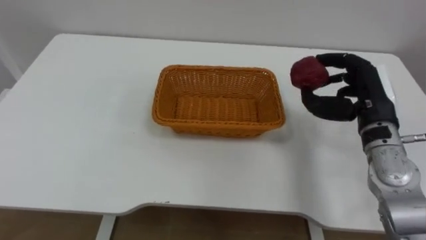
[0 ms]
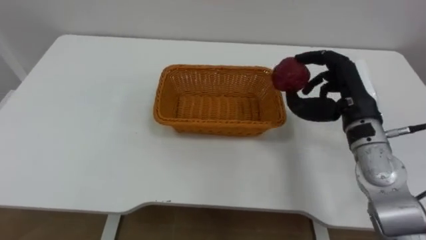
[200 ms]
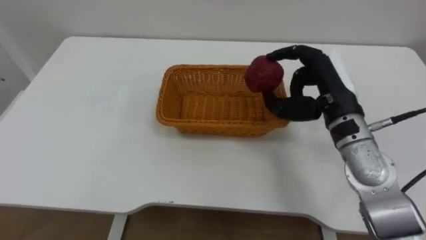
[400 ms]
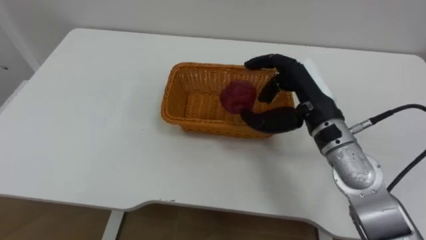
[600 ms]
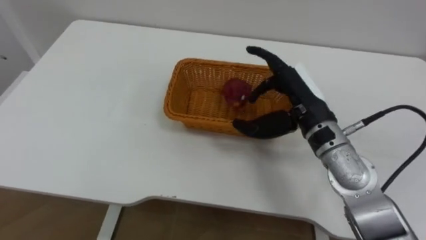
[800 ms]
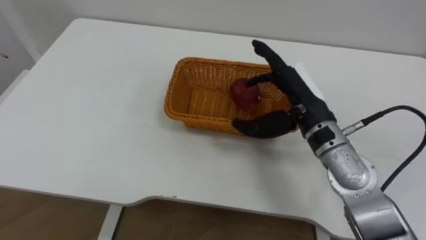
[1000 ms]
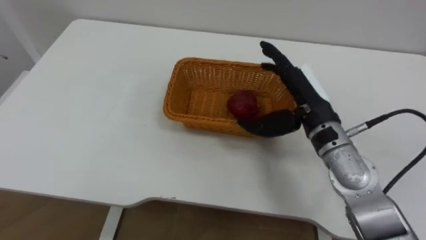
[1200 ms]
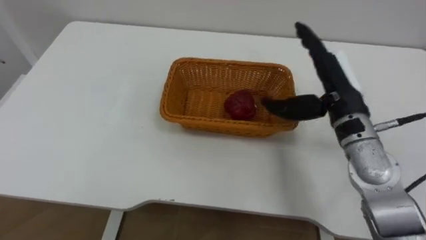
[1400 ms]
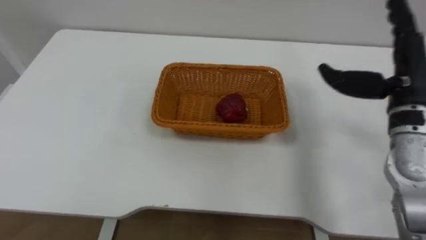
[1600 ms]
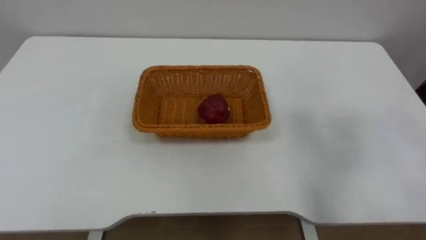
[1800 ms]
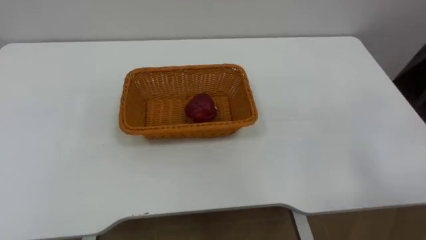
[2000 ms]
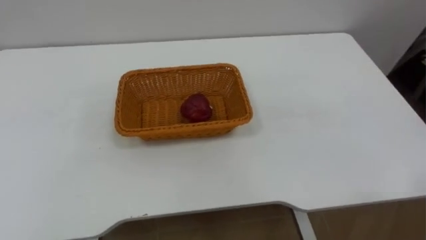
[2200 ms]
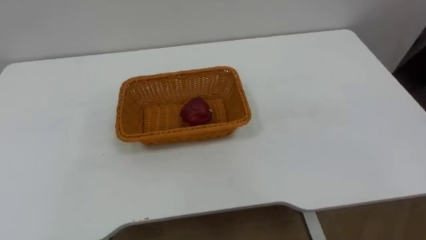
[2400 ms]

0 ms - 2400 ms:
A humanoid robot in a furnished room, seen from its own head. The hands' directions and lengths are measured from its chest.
Task of the whole recording: Pick the apple and place it in the box.
0 ms - 1200 ms: The right hand goes some 10 cm to the left, and opens.

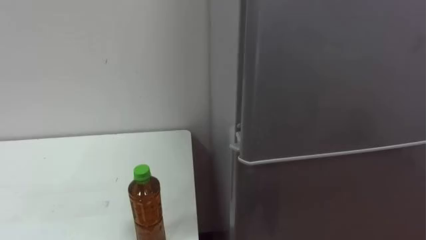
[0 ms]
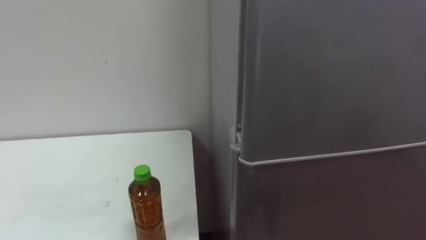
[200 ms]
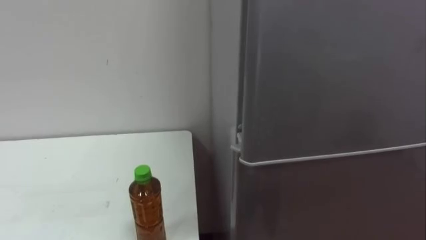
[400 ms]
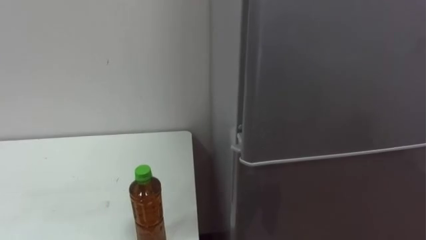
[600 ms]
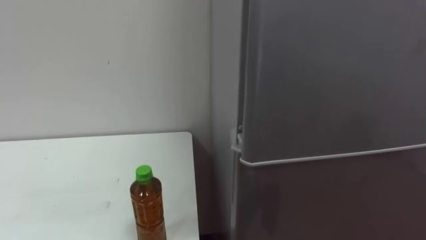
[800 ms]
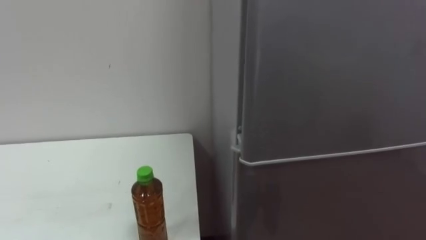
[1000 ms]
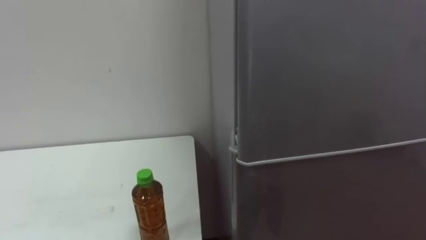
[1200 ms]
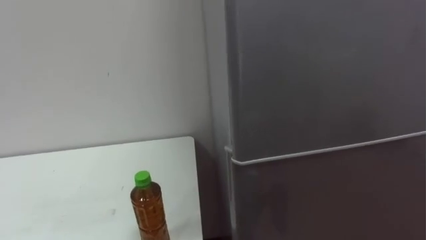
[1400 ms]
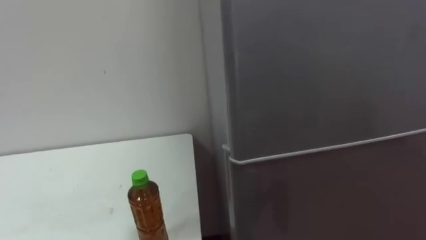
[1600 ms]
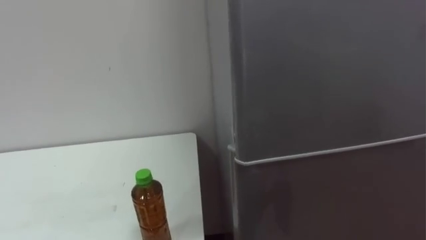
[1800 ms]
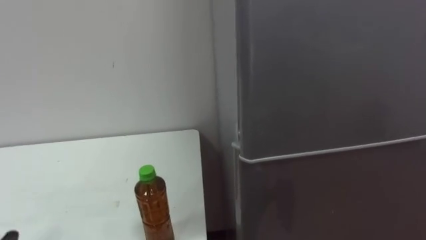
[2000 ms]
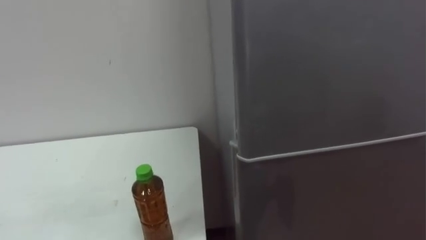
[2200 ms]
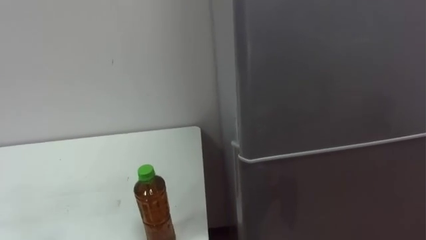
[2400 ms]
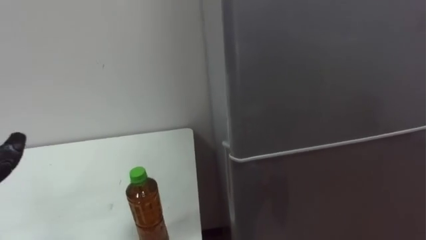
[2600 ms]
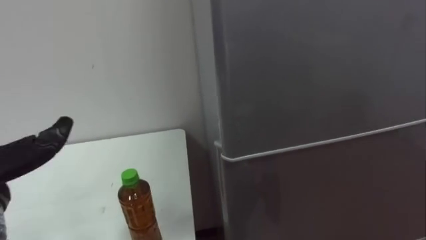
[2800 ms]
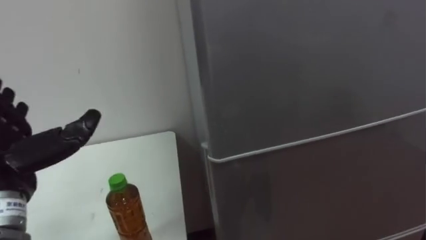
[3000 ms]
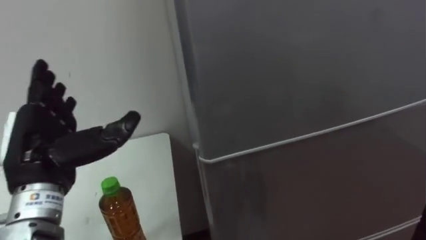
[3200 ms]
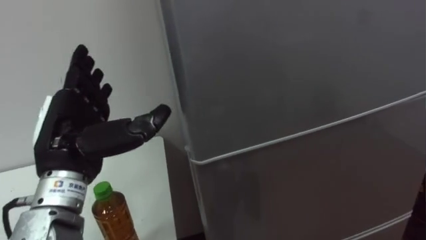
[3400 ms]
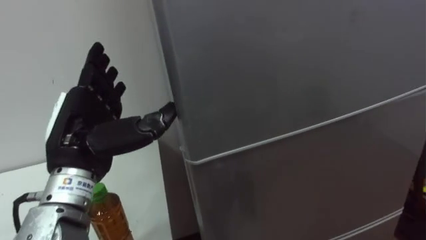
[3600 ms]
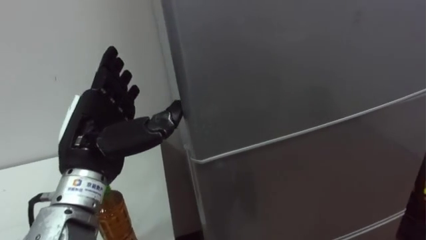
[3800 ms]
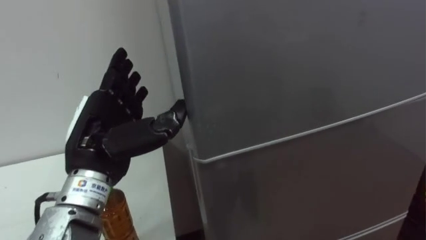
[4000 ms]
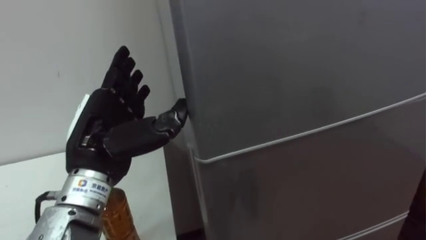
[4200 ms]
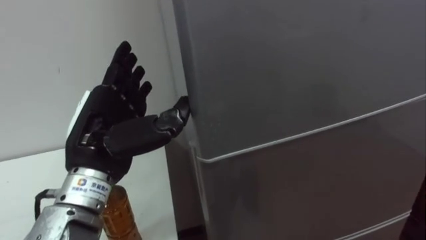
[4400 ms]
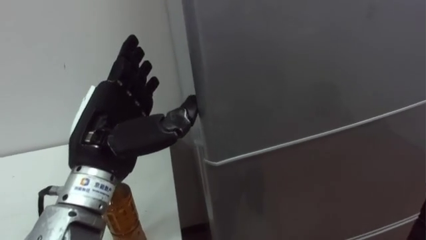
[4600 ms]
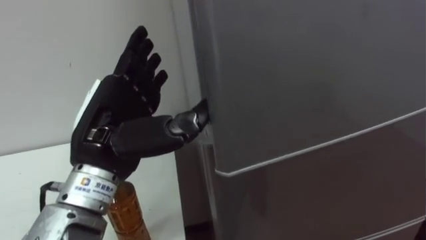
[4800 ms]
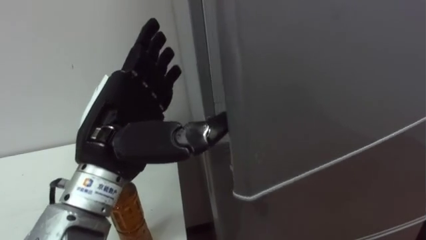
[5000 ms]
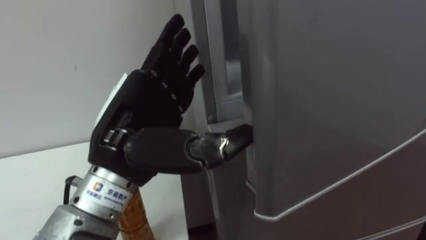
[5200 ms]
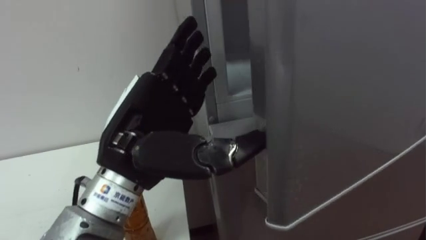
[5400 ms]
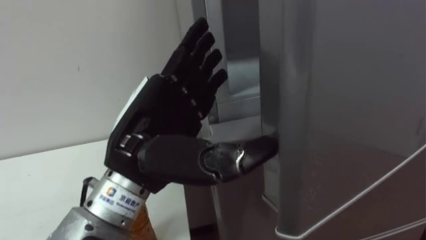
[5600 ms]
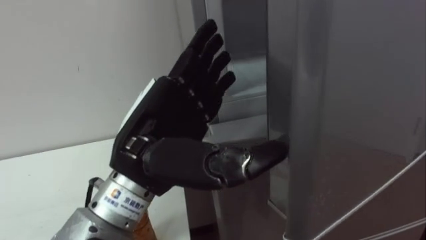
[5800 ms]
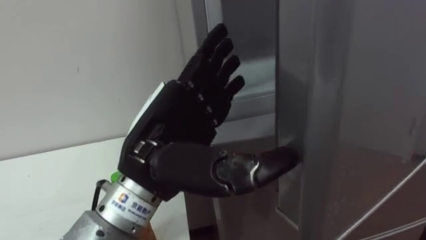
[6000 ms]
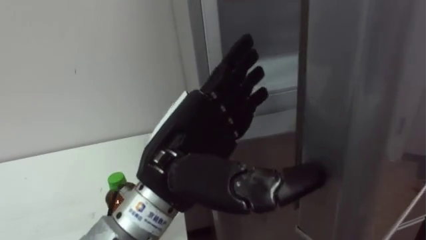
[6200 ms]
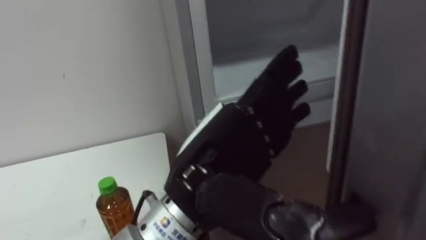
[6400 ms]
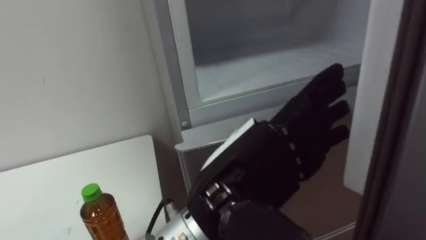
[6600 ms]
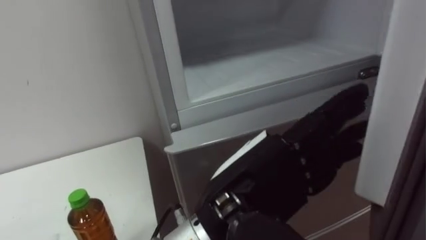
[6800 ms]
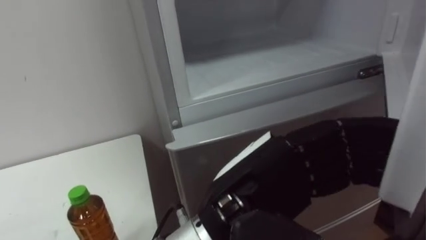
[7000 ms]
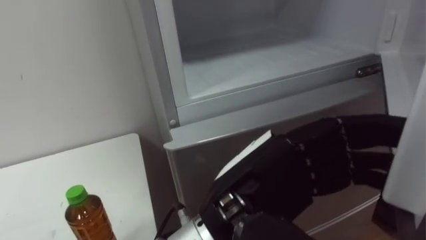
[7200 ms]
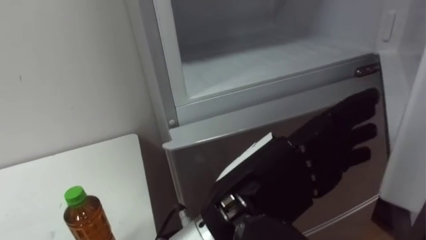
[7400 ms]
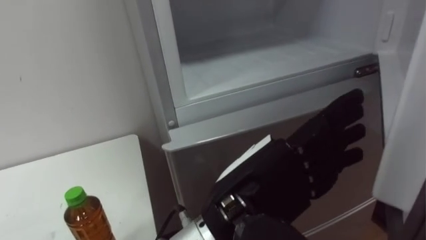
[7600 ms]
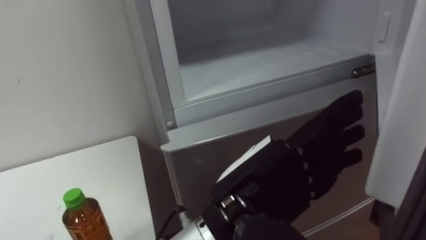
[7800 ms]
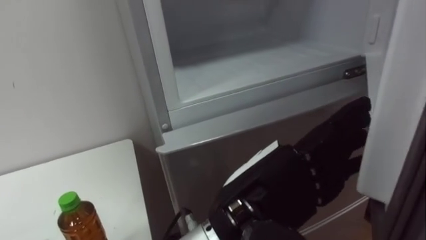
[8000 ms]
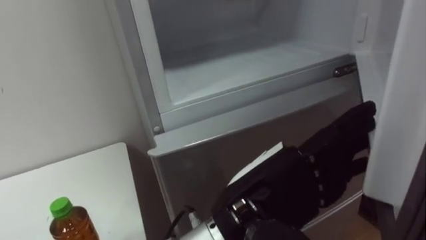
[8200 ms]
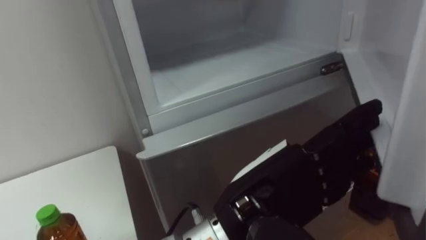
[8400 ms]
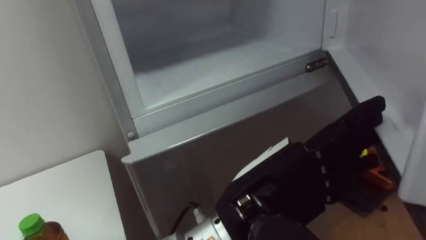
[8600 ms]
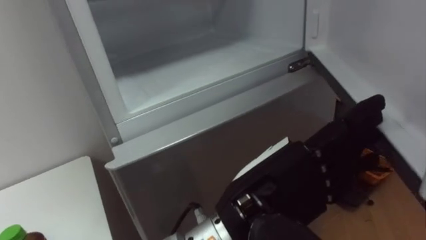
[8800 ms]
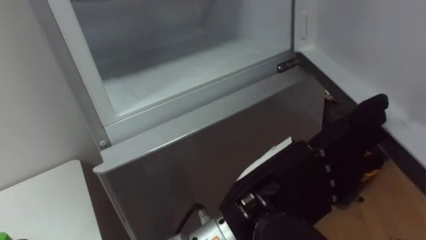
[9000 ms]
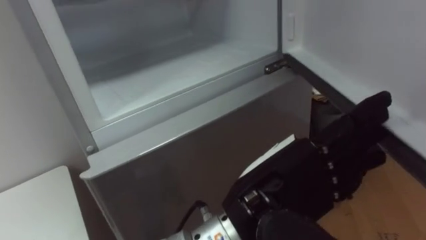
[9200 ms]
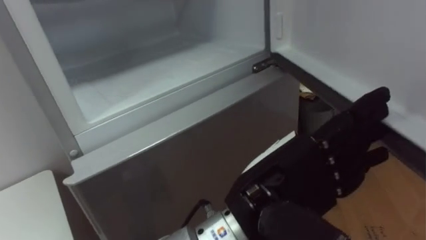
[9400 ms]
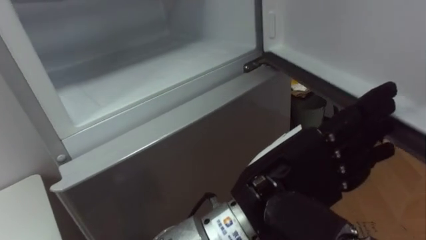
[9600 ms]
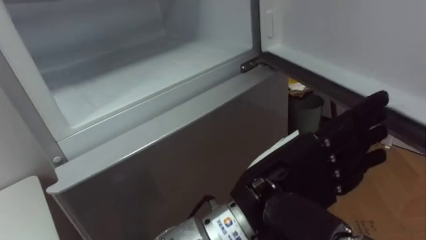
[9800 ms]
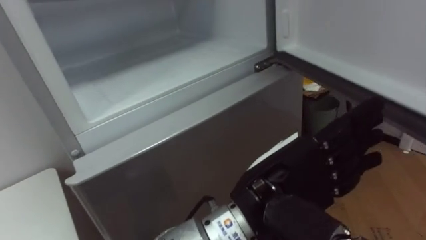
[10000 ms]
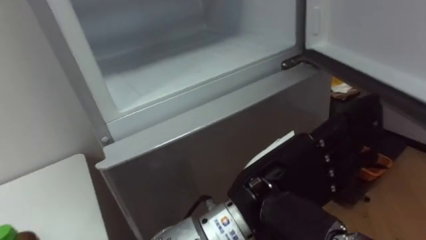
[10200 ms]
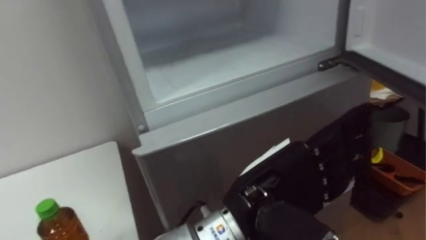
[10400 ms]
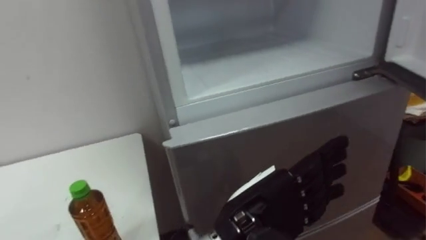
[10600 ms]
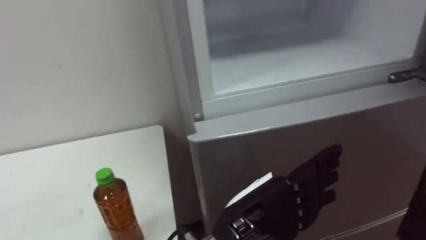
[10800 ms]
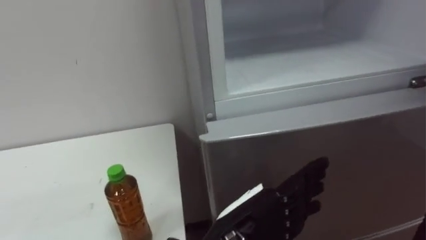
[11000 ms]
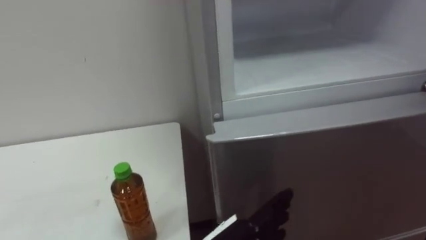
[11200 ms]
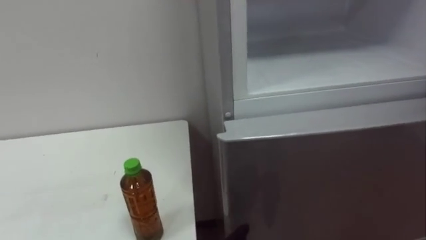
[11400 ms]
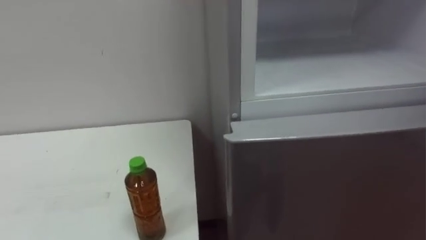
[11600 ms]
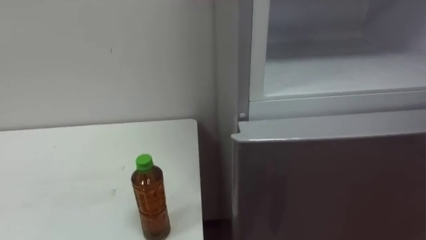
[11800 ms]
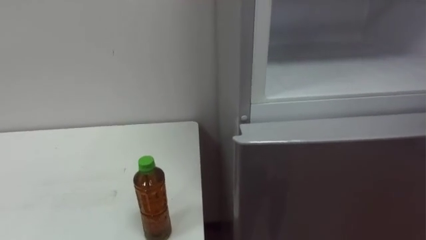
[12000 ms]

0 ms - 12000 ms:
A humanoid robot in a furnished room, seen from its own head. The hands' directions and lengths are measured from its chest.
Task of the whole recording: Open the upper refrigerator door, put the drink from the table into the refrigerator, and then close the refrigerator door.
4400 ms - 6000 ms: The left hand moves to the right, roughly 10 cm.
6000 ms - 7600 ms: The left hand moves to the right, roughly 10 cm.

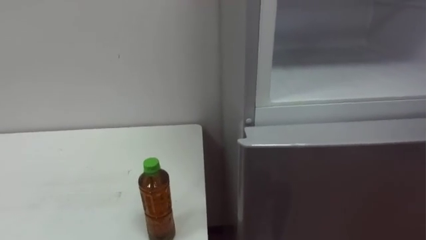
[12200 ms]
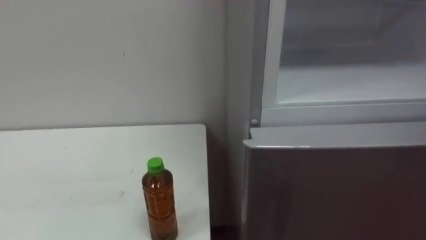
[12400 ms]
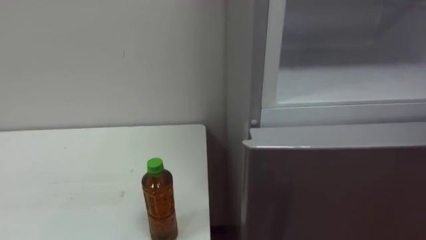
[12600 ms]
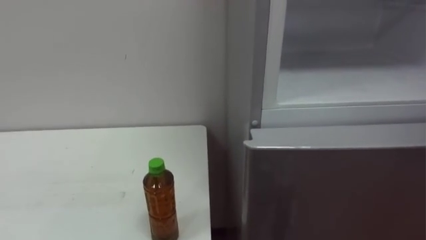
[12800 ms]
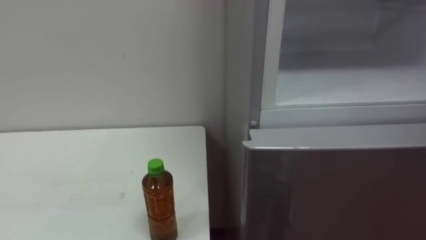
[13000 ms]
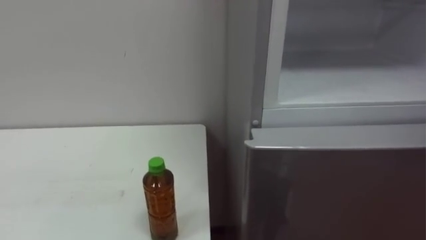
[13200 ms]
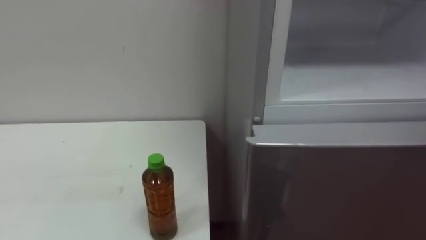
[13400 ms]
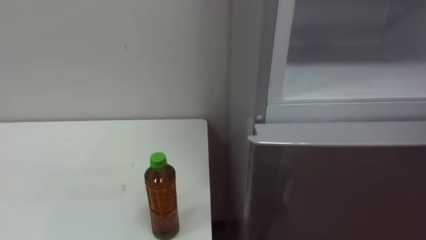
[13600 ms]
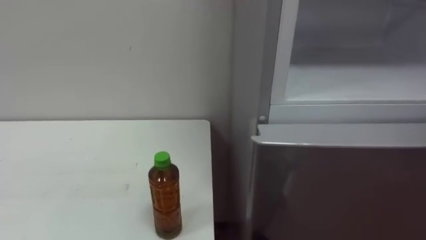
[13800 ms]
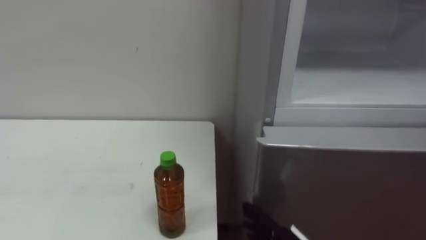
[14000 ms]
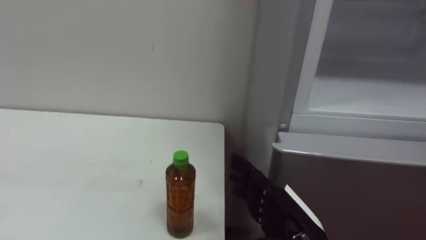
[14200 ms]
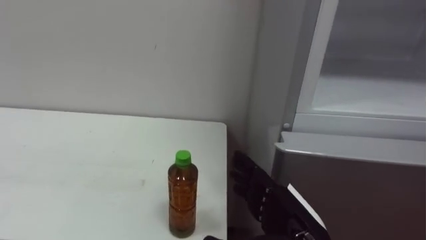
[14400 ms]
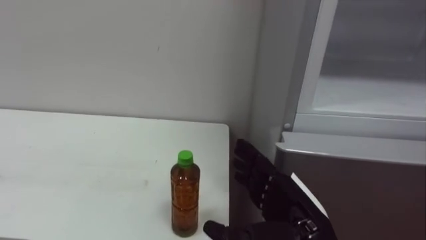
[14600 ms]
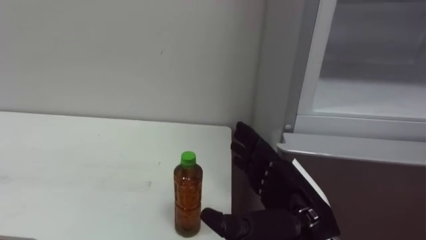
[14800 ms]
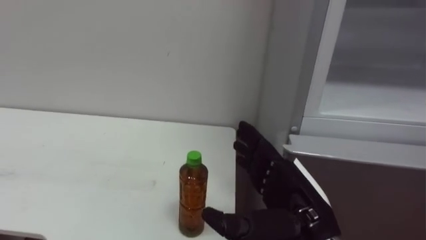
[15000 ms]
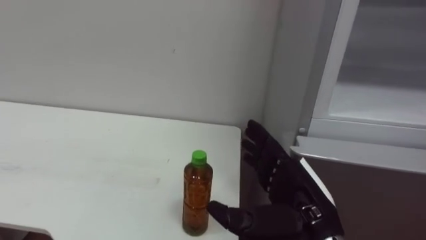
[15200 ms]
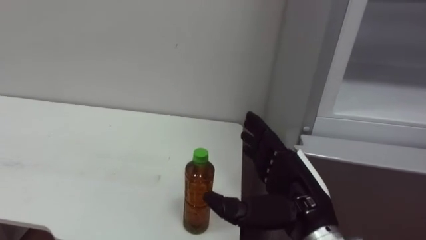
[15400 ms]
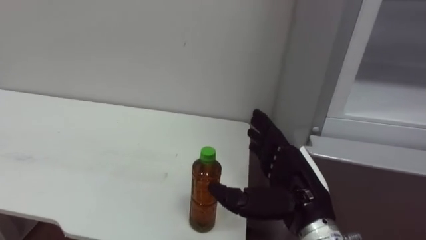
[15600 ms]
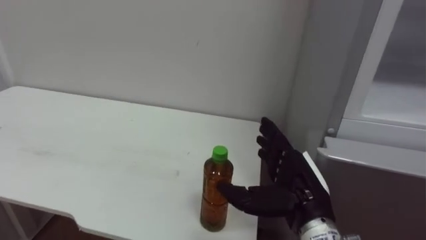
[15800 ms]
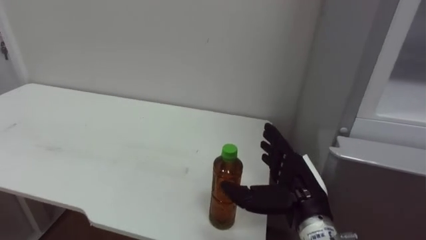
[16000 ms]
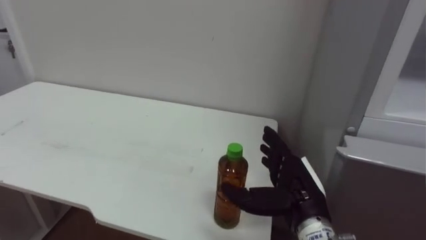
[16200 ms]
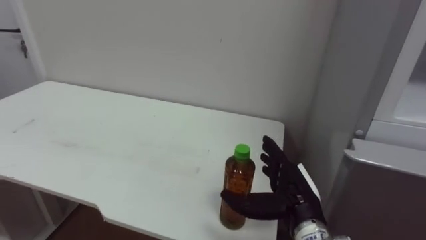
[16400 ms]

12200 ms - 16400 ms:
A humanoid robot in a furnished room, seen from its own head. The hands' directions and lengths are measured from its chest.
Task of the whole recording: Open the upper refrigerator door, put the drink from the table into the refrigerator, and then close the refrigerator door.
15000 ms - 16400 ms: The right hand heads forward and downward, covering some 10 cm.
